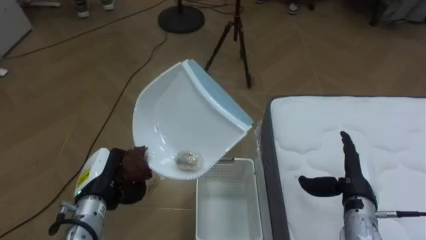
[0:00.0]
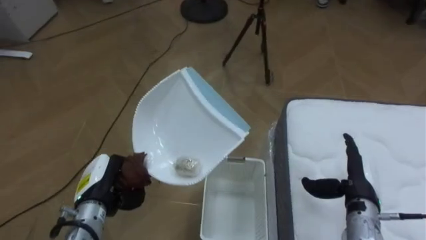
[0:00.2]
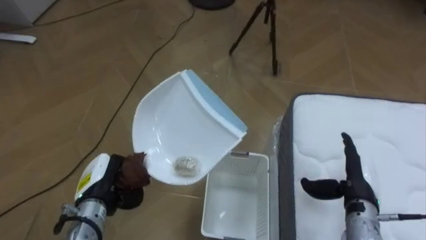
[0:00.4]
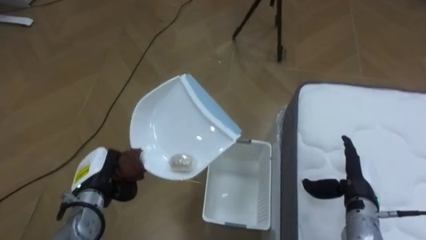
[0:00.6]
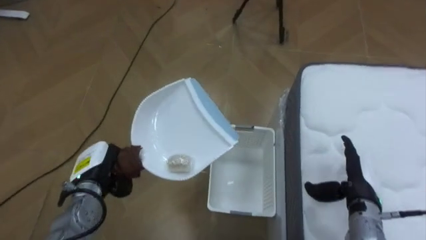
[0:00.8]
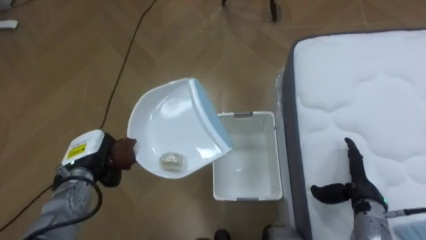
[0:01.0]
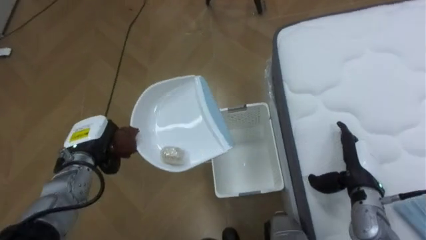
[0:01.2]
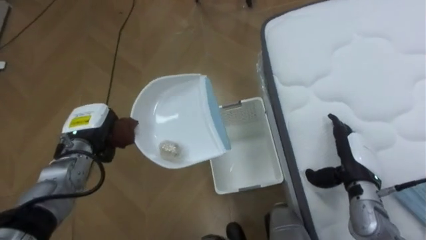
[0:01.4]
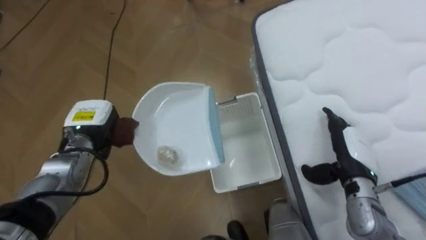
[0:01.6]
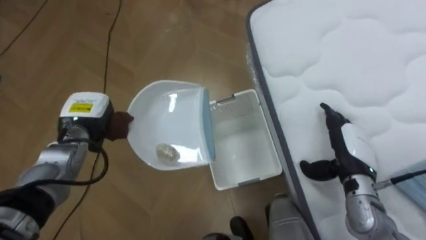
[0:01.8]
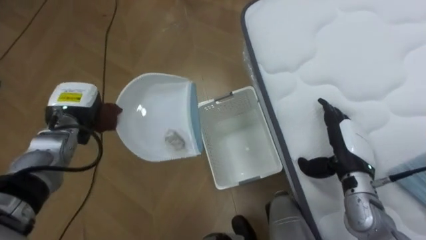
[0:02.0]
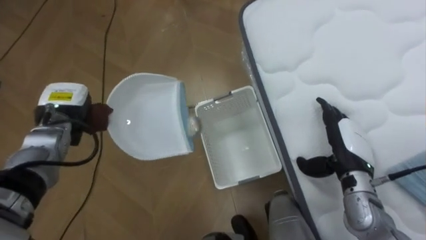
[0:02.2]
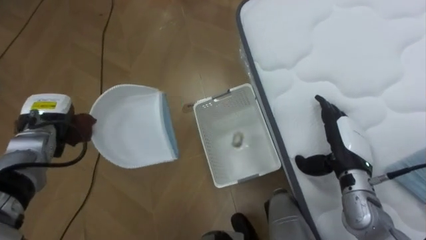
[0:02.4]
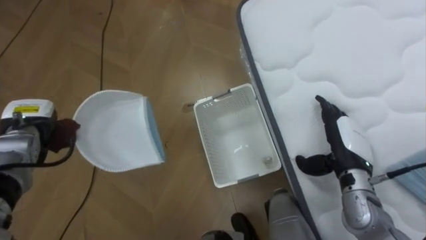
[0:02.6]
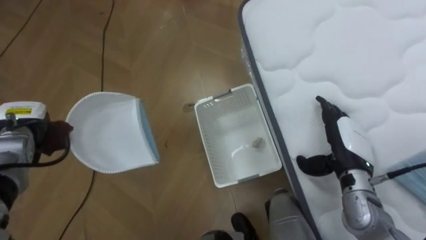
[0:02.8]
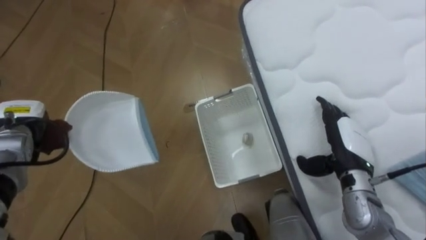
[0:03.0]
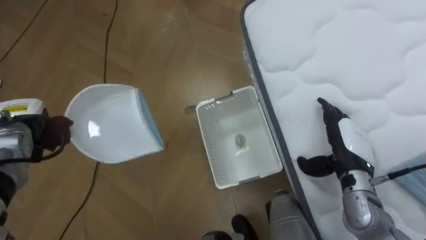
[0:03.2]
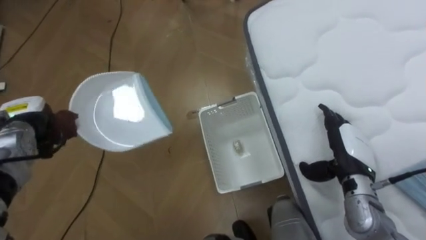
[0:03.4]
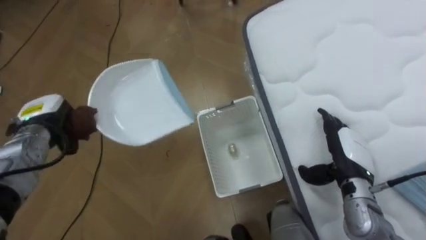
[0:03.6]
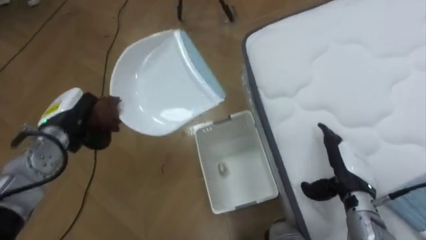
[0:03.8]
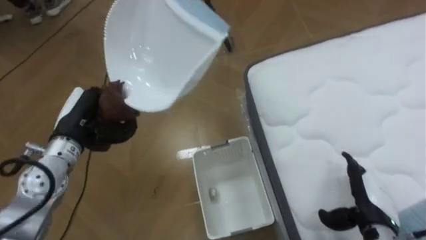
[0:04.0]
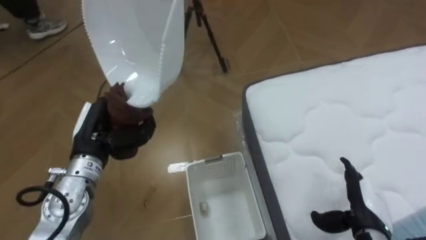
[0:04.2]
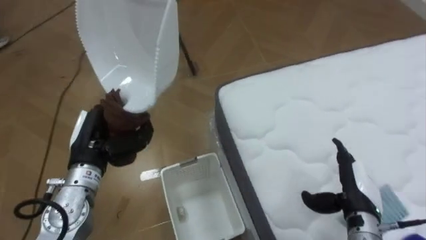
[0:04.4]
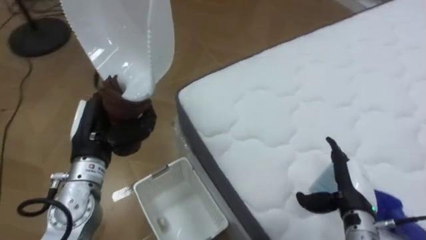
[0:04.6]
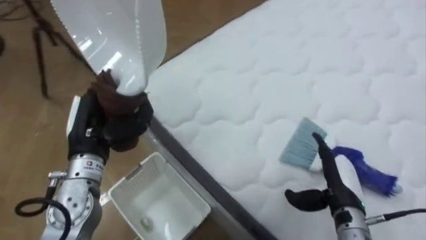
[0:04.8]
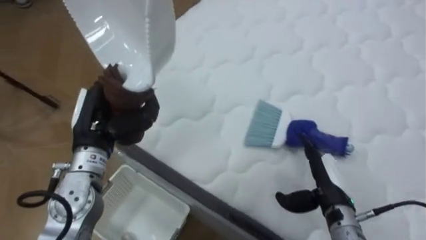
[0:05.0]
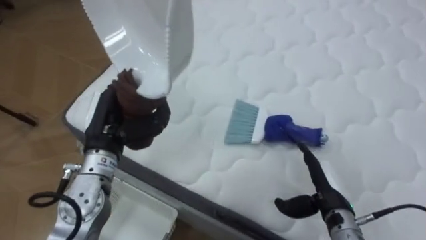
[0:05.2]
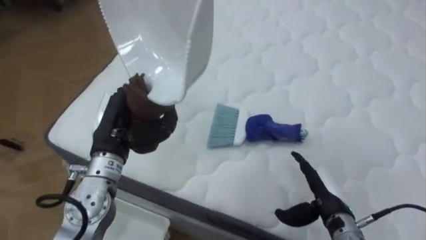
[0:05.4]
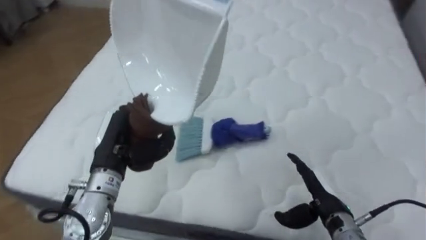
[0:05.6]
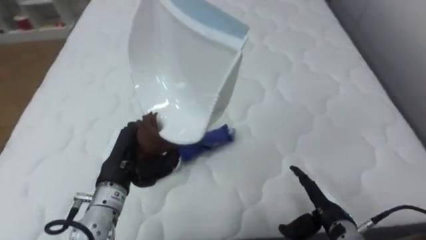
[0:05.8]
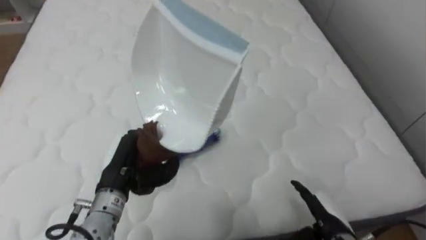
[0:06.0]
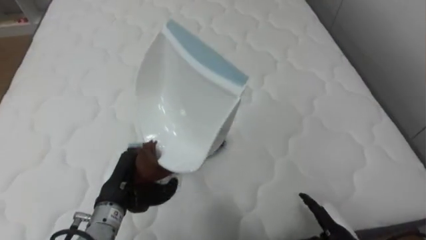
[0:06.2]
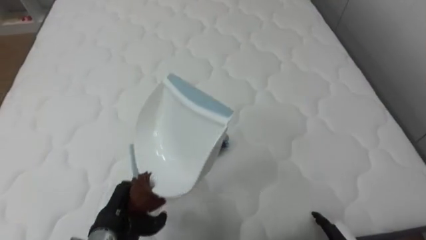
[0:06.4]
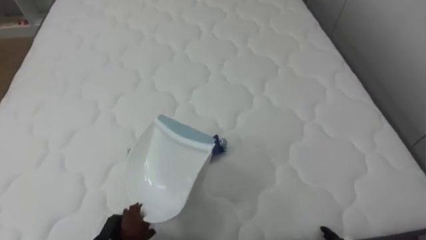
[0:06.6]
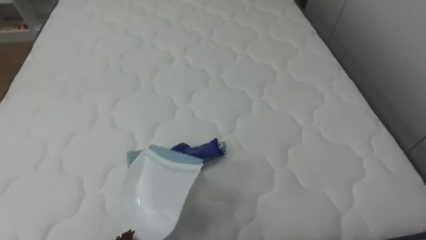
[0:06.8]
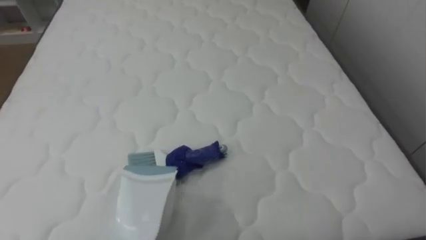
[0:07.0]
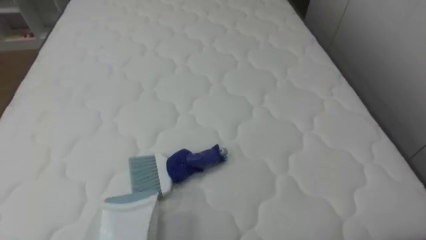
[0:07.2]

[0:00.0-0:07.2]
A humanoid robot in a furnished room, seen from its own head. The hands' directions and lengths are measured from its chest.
Task of the whole recording: Pick up the brush on your right and the dustpan on your left. Use the brush to sweep the crumpled paper on the bed into the dustpan, then turn left and empty it into the basket.
0:00.0 to 0:01.4: The left hand is displaced forward by some 10 cm.
0:01.4 to 0:02.8: The left hand shifts approximately 10 cm to the left.
0:02.8 to 0:04.4: The left hand heads to the right and backward, covering roughly 15 cm. Meanwhile the right hand goes about 10 cm backward and downward.
0:04.4 to 0:05.8: The robot turns to its right by roughly 75 degrees. The right hand changes place by some 5 cm, while the left hand changes place by approximately 5 cm.

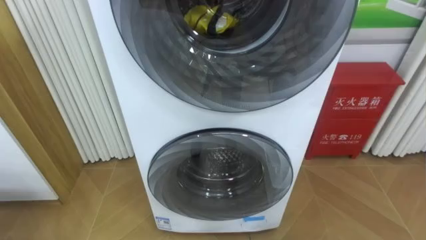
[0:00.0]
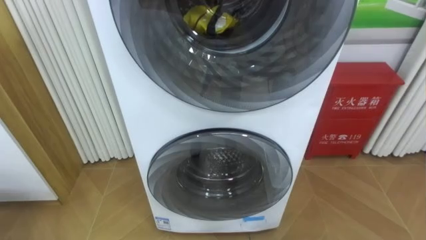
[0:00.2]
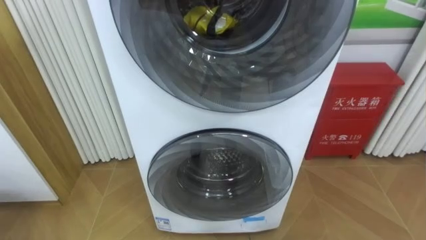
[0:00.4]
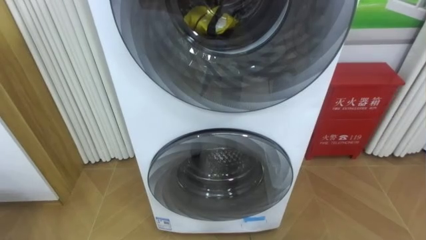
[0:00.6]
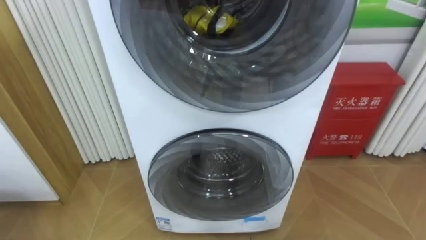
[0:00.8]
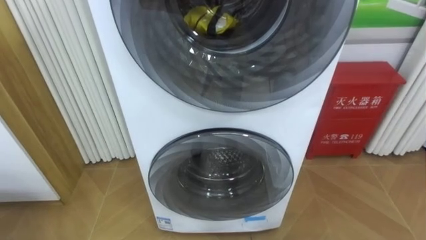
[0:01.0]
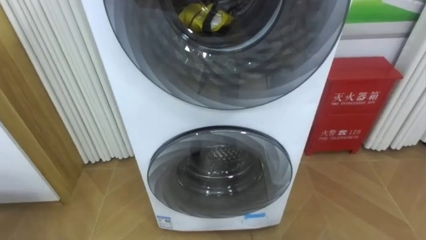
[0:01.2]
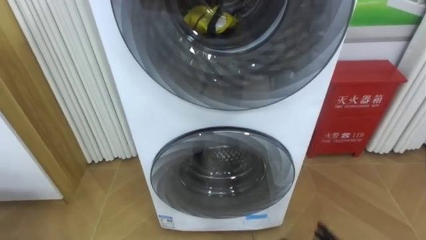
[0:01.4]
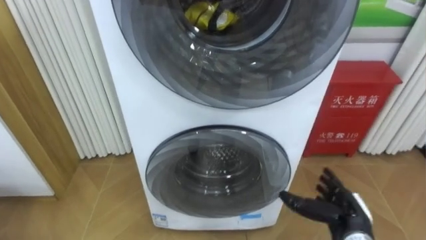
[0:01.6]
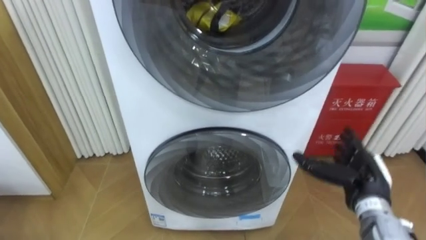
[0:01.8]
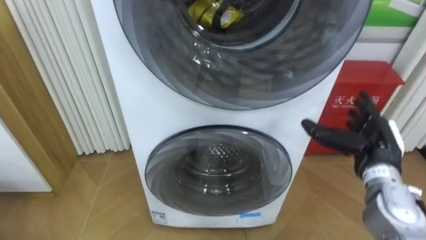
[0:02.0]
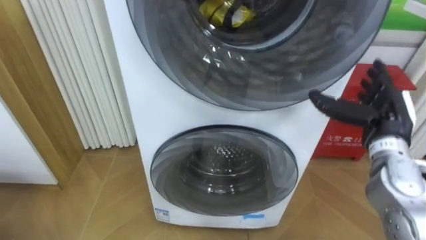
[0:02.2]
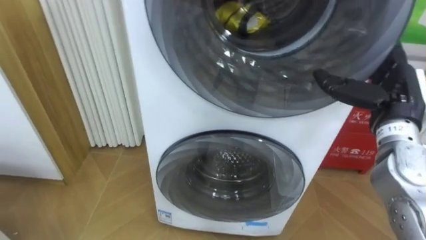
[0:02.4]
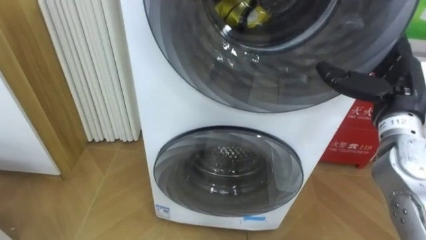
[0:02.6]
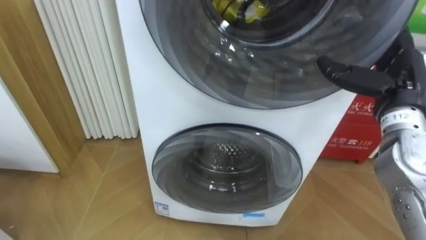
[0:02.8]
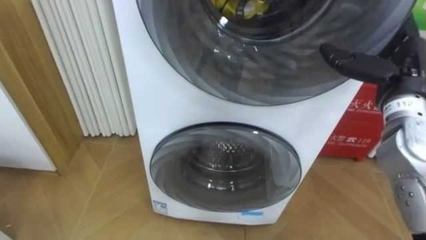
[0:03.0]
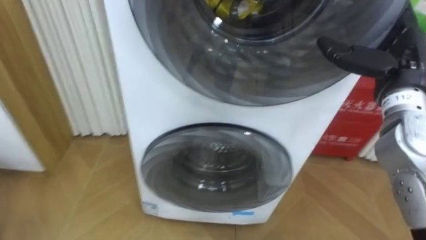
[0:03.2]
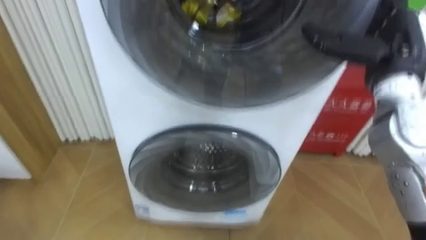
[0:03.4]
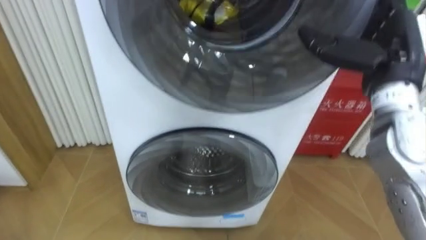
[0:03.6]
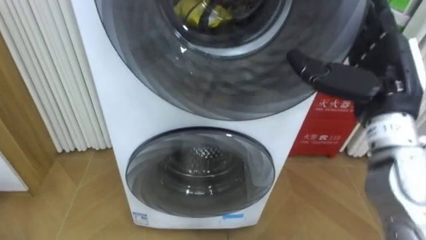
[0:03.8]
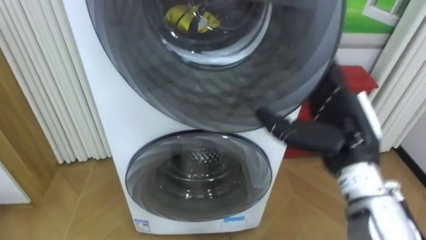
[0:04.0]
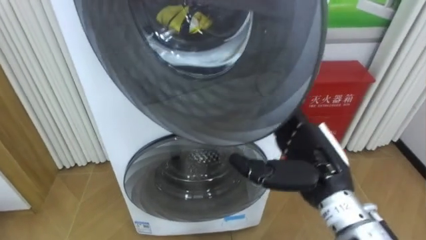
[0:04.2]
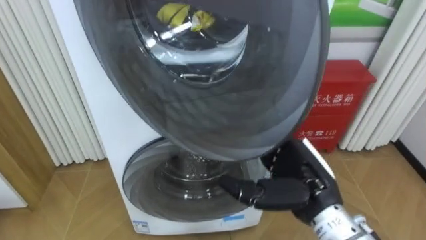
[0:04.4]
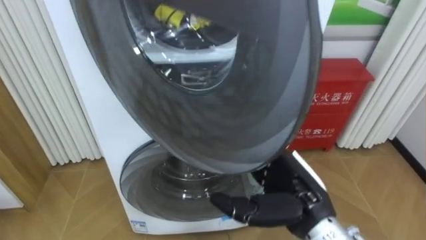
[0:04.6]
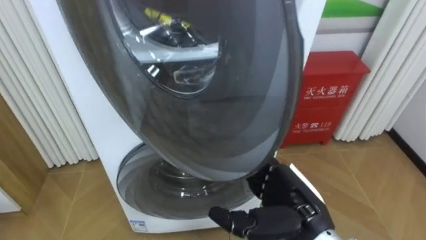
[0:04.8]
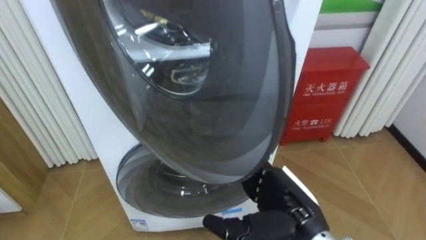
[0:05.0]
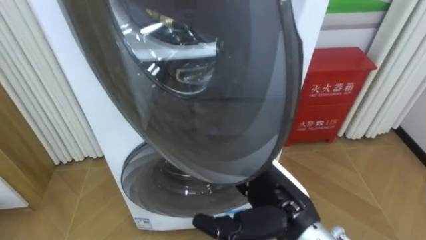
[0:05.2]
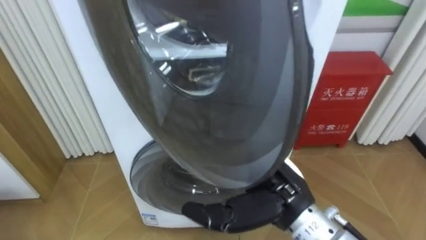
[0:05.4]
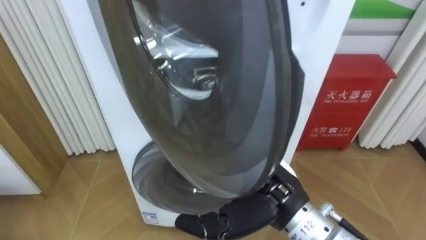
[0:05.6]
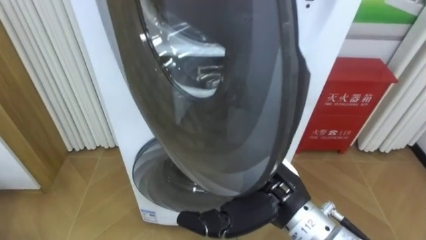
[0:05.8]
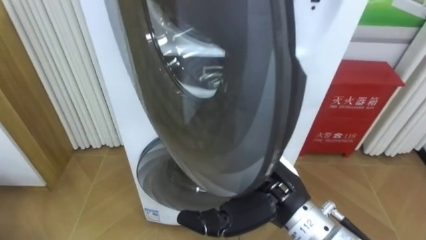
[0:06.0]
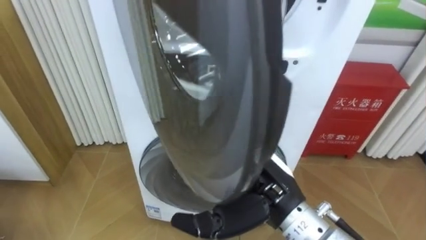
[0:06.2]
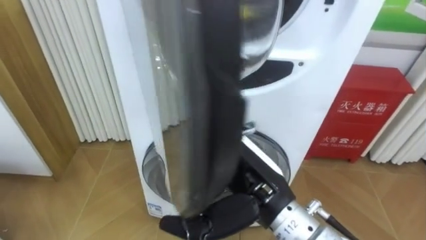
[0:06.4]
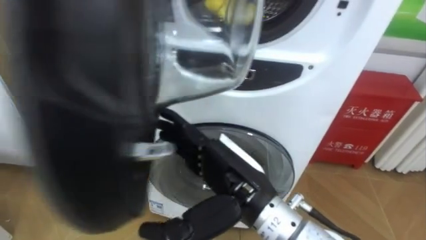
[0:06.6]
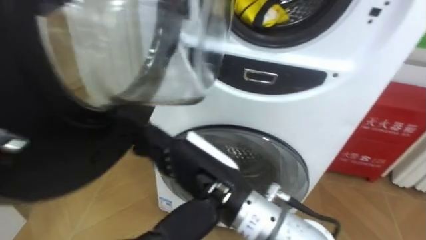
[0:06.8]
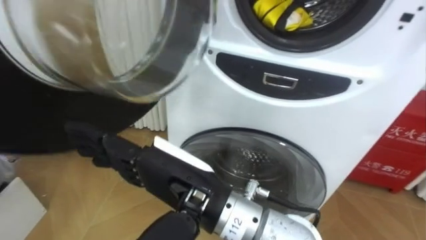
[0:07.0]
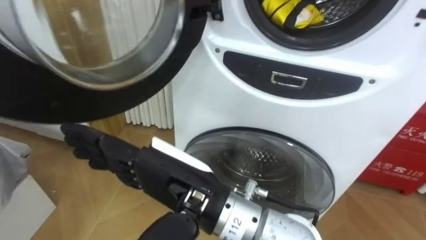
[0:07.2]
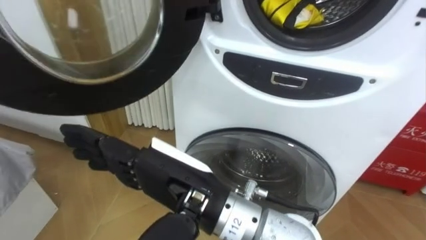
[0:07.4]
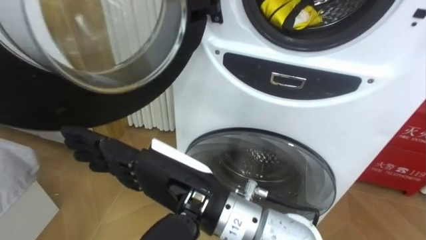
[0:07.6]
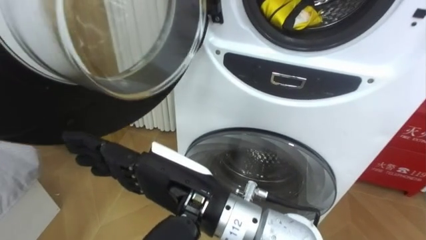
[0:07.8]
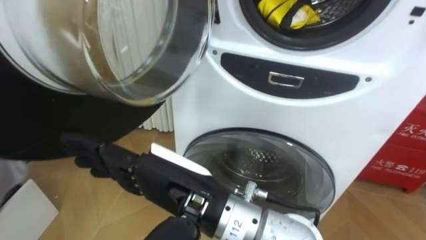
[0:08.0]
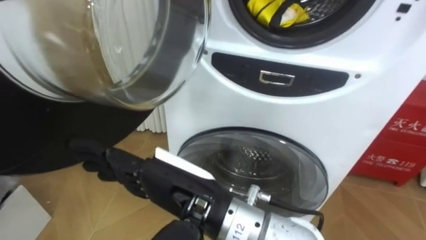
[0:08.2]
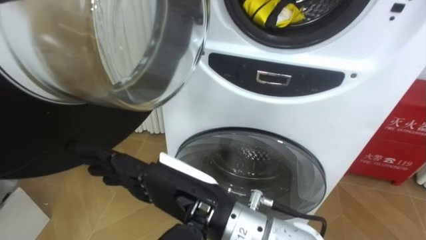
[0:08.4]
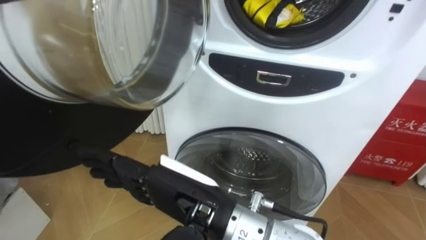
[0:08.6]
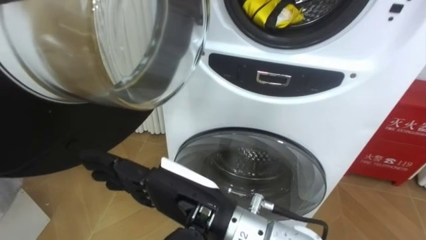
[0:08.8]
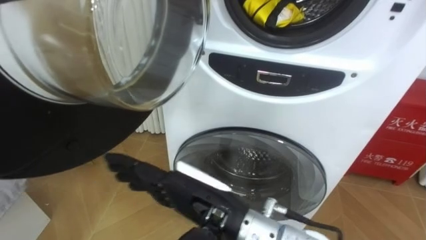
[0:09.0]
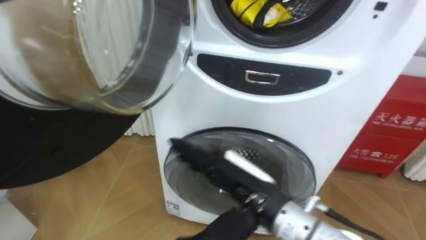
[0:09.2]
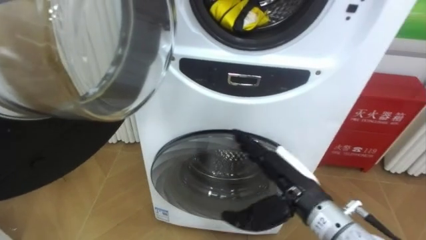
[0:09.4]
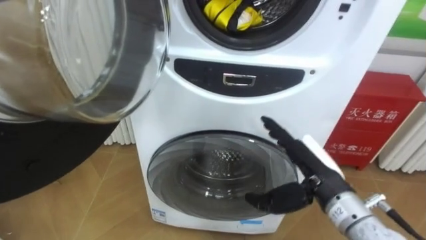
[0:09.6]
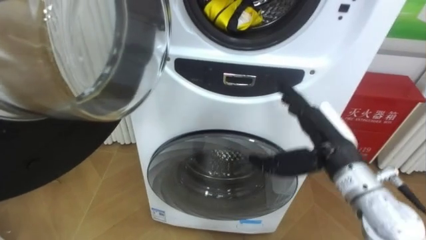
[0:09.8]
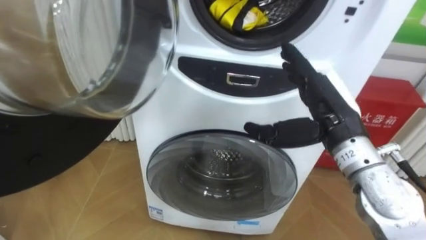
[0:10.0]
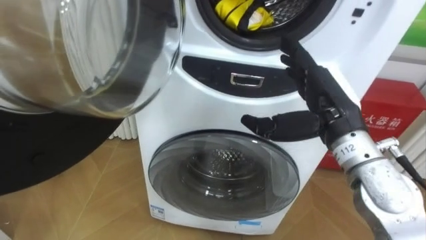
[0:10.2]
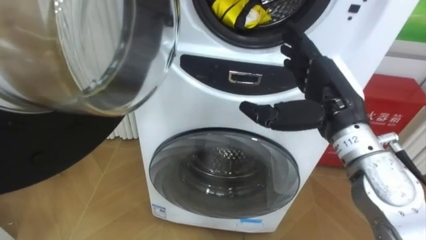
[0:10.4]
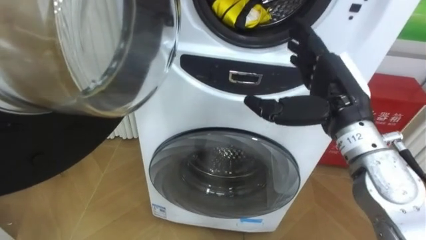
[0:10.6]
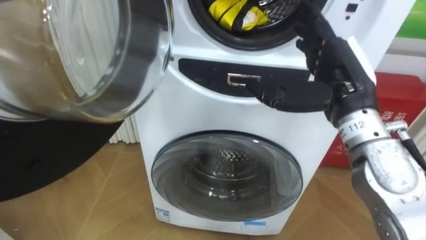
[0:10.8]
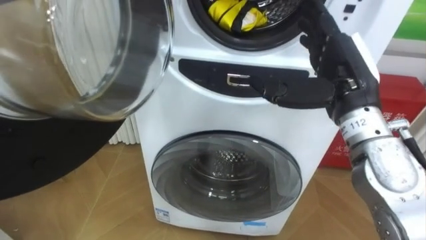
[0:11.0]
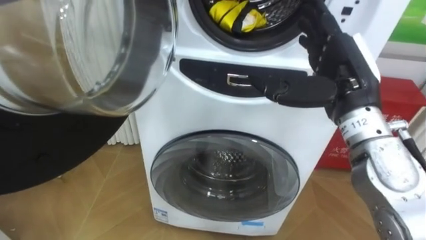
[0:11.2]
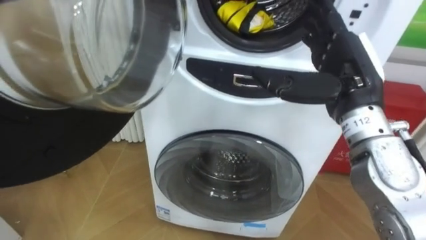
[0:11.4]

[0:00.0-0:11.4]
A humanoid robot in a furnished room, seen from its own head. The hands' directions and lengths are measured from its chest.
Task of the whole recording: Open the washing machine door, take out the yellow clothes, place them in the box on the right, and close the washing machine door.
0:02.8 to 0:04.2: The right hand shifts about 15 cm to the left, backward and downward.
0:04.2 to 0:05.6: The right hand is displaced to the left by roughly 10 cm.
0:05.6 to 0:07.2: The right hand travels to the left and upward by approximately 10 cm.
0:08.6 to 0:10.0: The right hand is displaced to the right and forward by about 25 cm.
0:10.0 to 0:11.4: The right hand goes some 5 cm upward.
